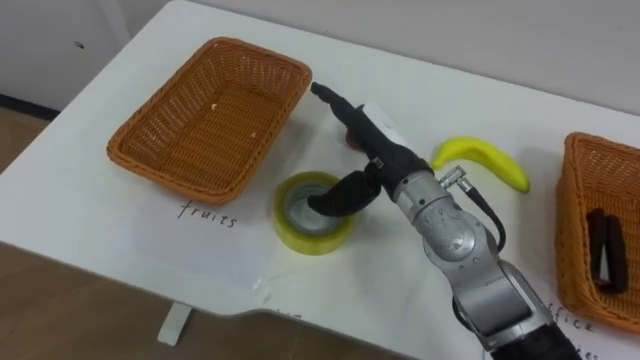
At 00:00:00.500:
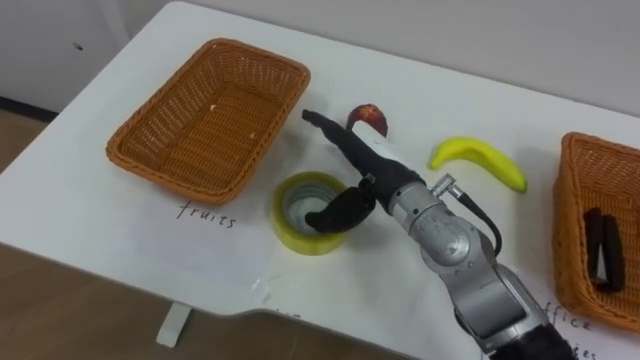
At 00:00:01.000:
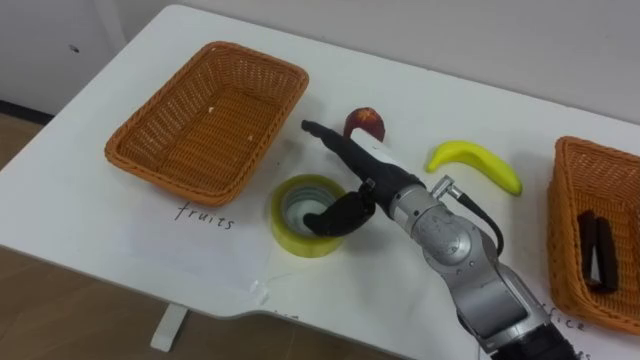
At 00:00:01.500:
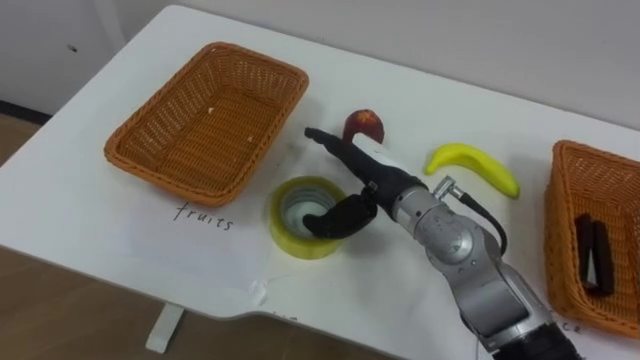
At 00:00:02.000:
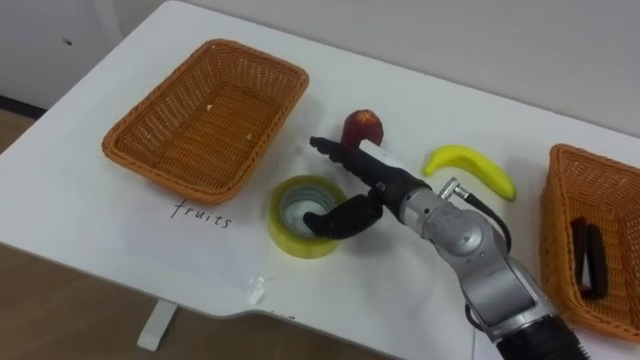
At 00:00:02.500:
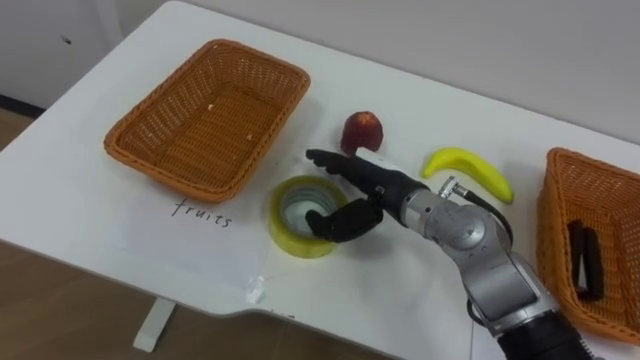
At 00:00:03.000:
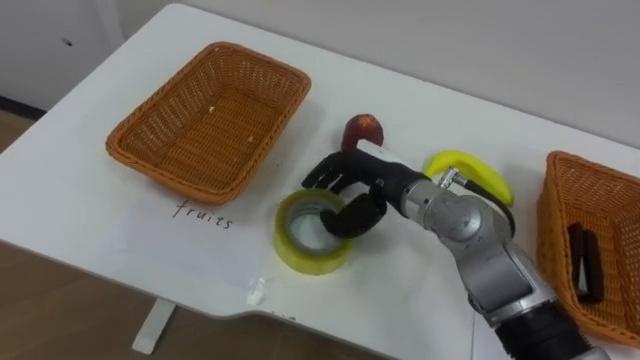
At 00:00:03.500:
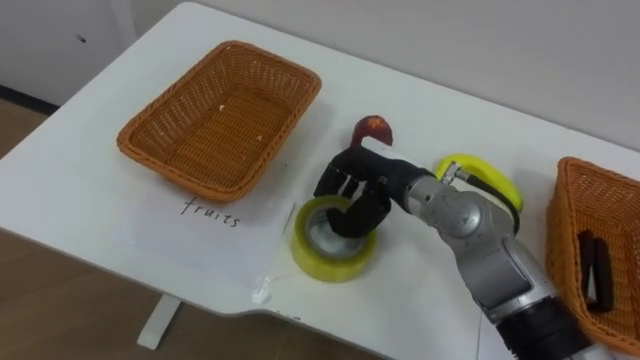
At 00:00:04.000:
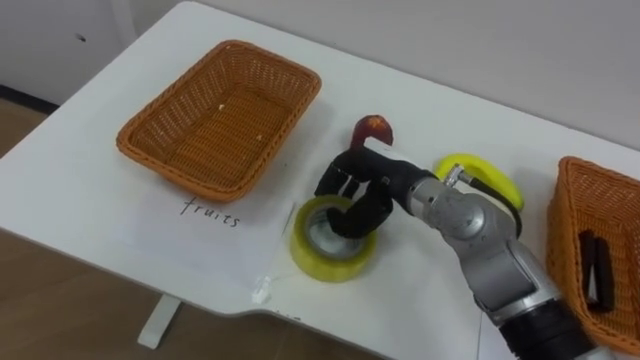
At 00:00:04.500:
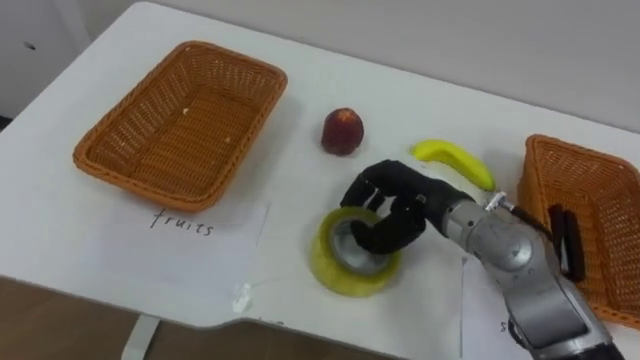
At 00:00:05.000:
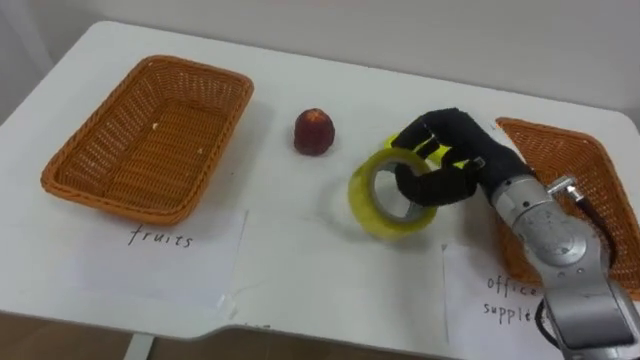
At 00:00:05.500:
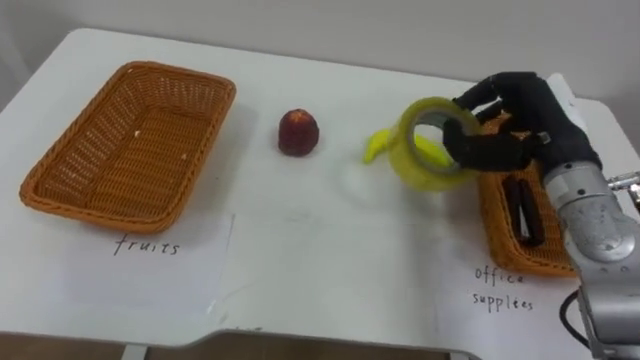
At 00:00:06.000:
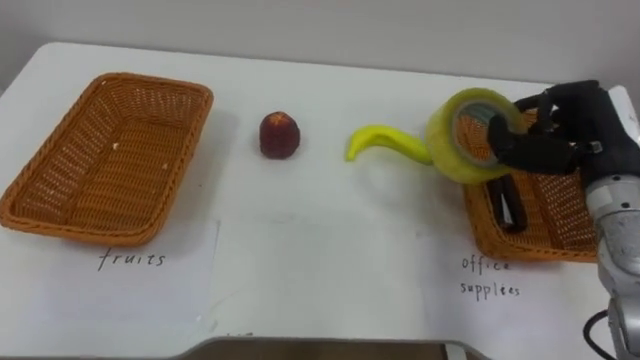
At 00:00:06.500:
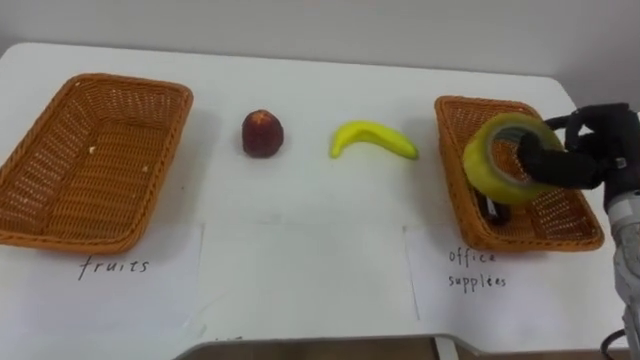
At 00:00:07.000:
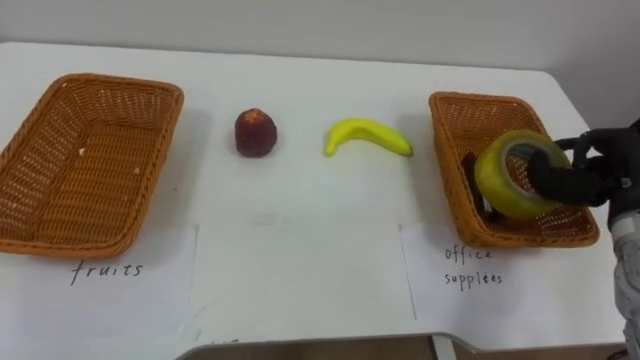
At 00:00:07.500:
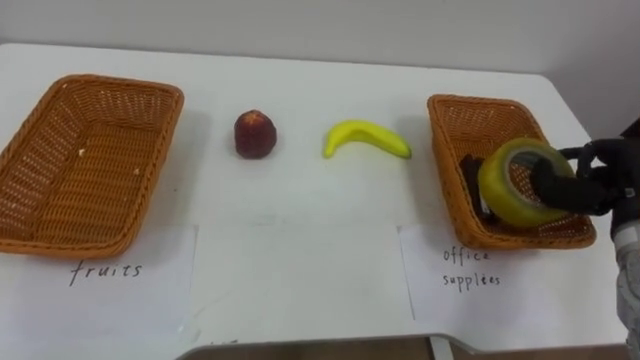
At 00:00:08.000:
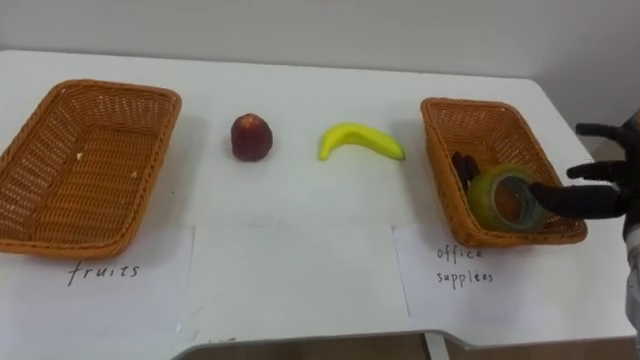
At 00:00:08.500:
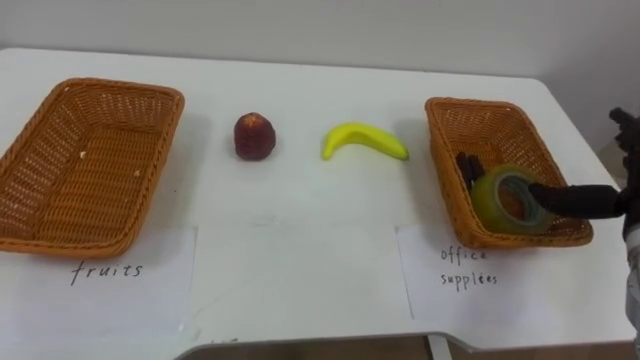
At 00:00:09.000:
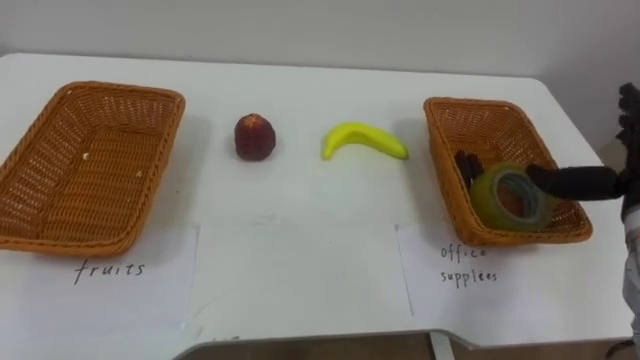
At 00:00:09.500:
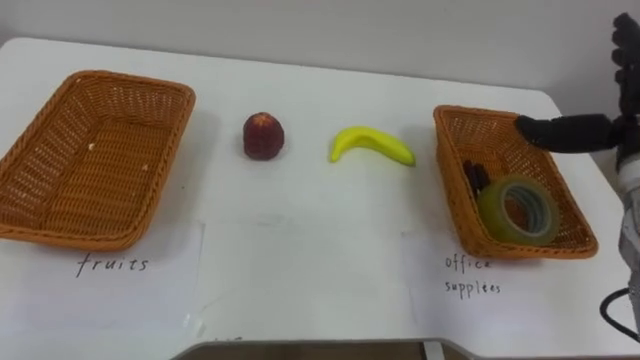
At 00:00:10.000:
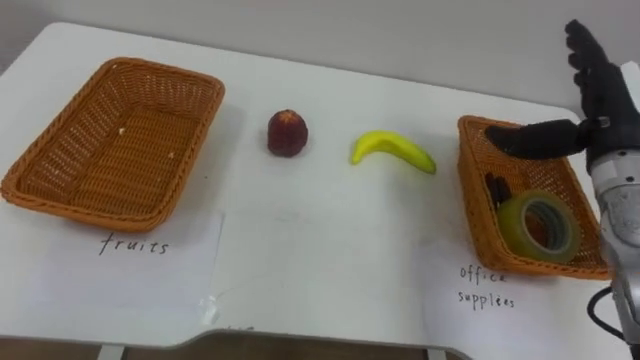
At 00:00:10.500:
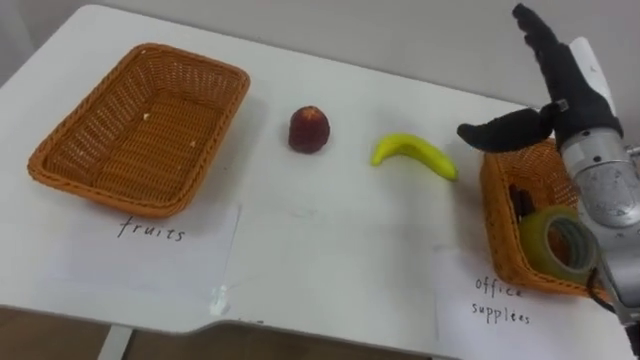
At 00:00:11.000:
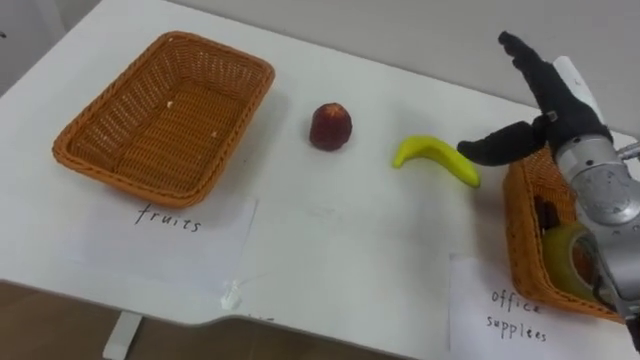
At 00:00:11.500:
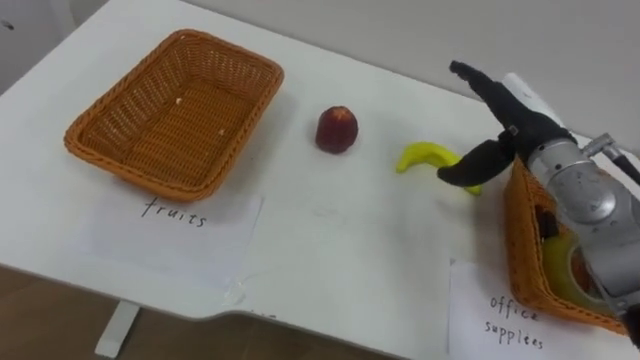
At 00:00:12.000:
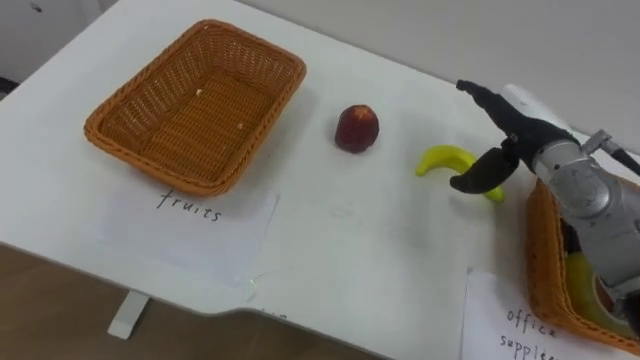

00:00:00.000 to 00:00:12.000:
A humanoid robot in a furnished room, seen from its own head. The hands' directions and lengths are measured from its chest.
Task of the whole recording: Separate the items on the table and place them into the two baskets.
00:00:00.000 to 00:00:02.000: The right hand heads downward, covering roughly 5 cm.
00:00:02.000 to 00:00:04.000: The right hand closes up.
00:00:04.000 to 00:00:06.000: The right hand goes some 20 cm to the right.
00:00:06.000 to 00:00:08.000: The right hand moves to the right and downward, about 10 cm, and opens.
00:00:10.000 to 00:00:12.000: The right hand travels to the left by roughly 5 cm.

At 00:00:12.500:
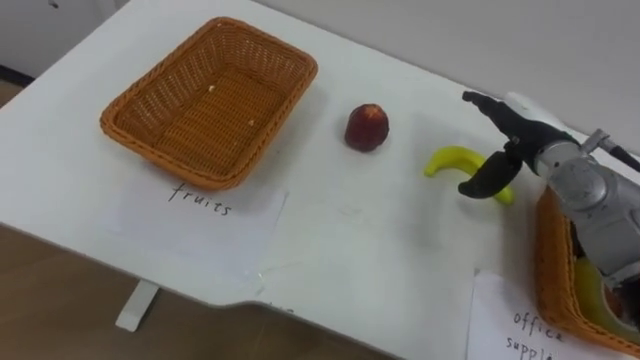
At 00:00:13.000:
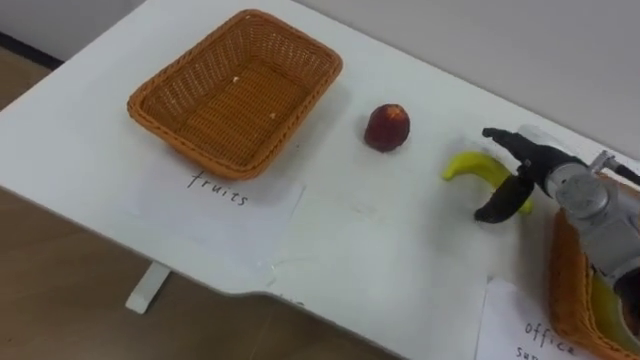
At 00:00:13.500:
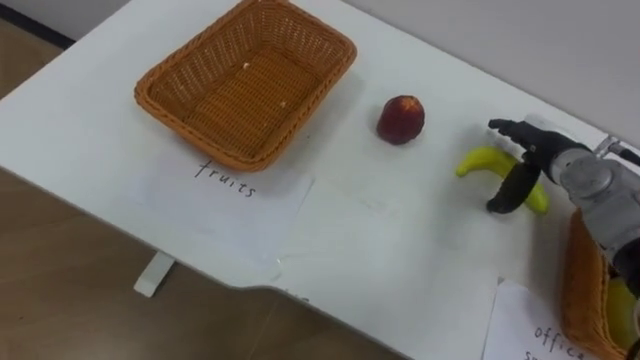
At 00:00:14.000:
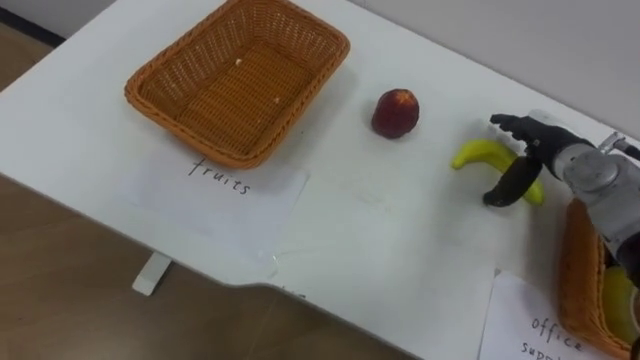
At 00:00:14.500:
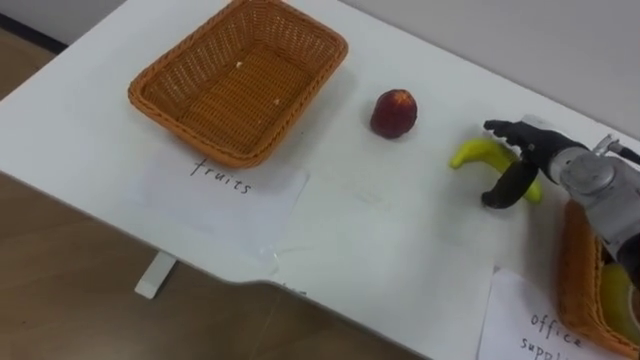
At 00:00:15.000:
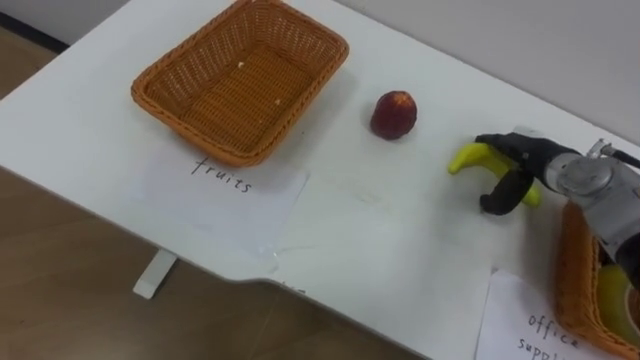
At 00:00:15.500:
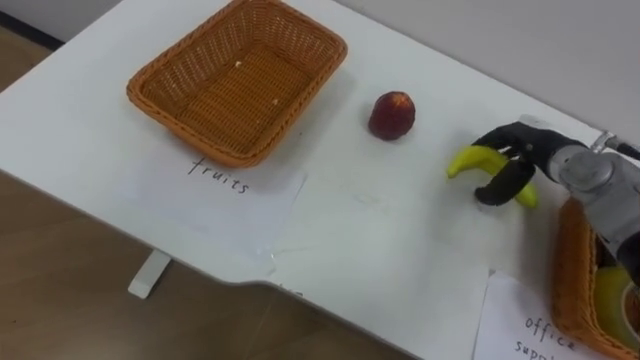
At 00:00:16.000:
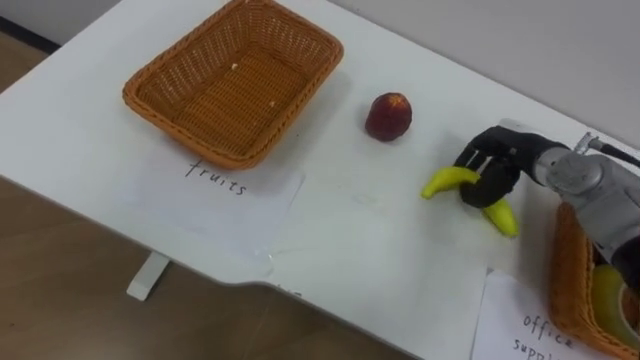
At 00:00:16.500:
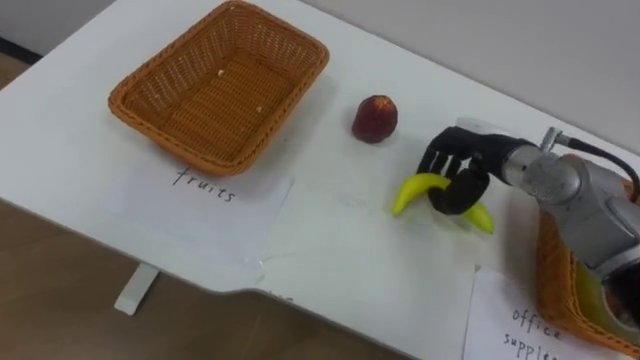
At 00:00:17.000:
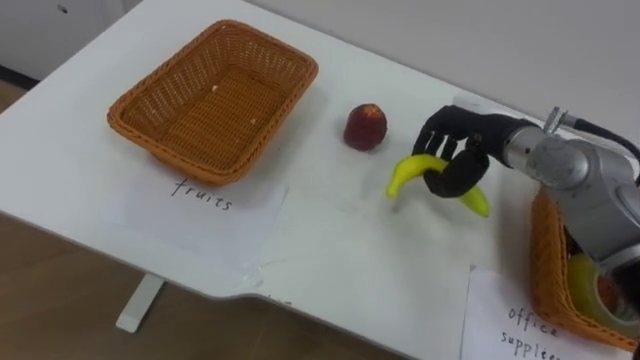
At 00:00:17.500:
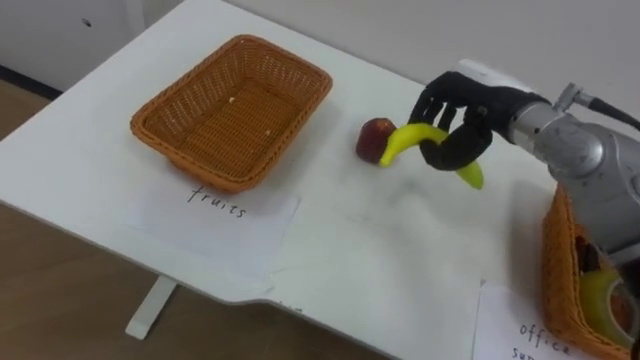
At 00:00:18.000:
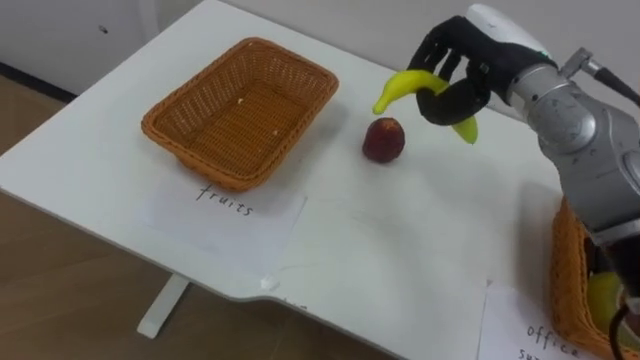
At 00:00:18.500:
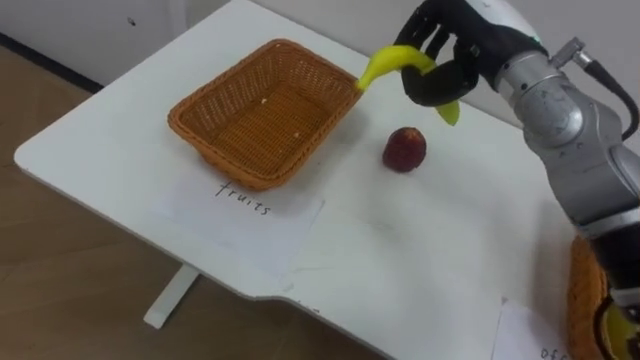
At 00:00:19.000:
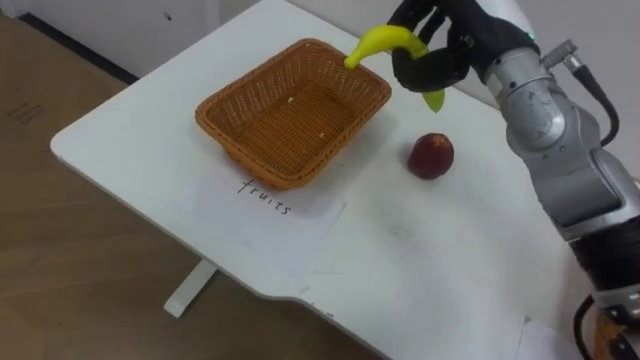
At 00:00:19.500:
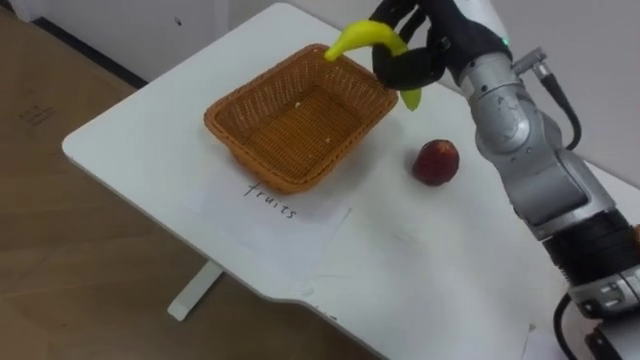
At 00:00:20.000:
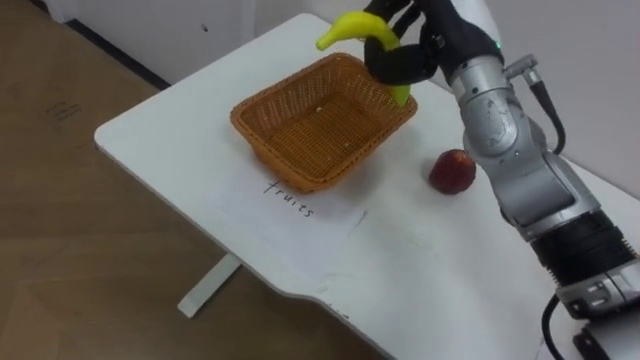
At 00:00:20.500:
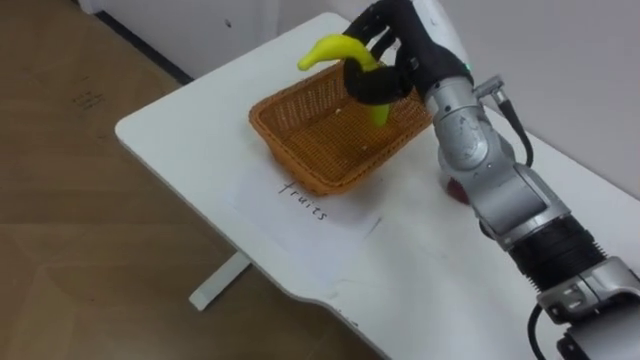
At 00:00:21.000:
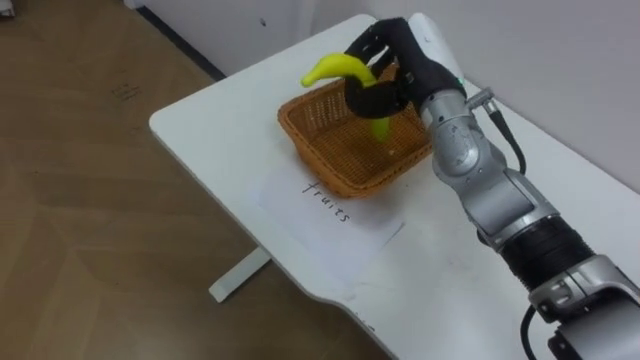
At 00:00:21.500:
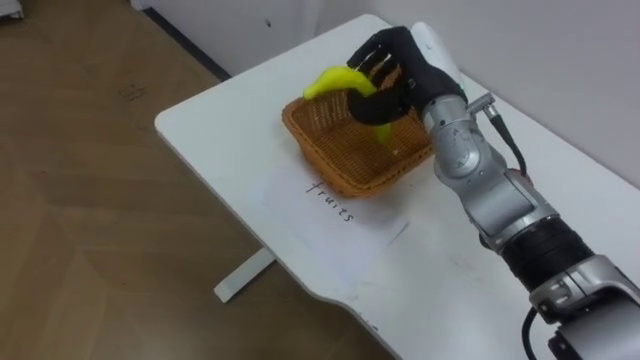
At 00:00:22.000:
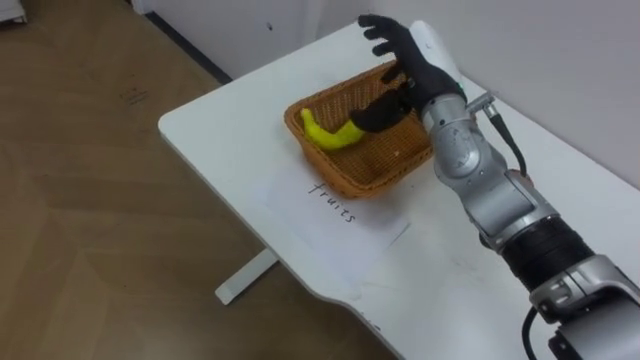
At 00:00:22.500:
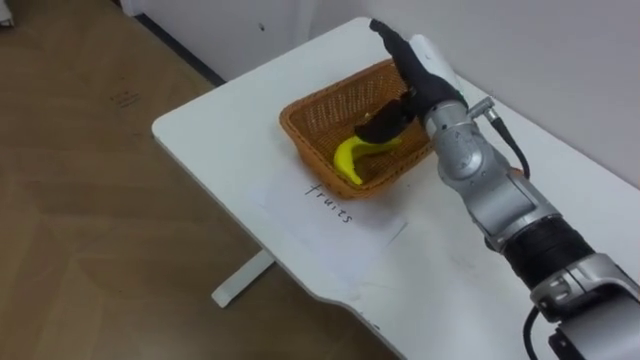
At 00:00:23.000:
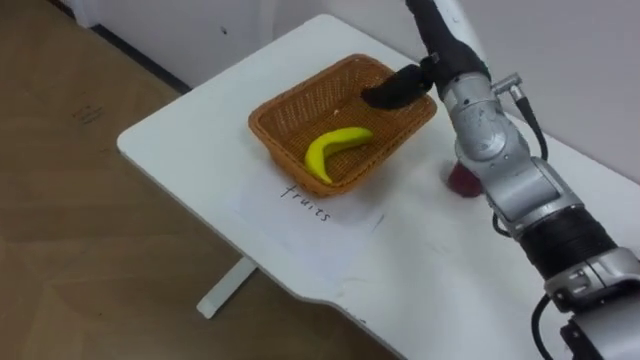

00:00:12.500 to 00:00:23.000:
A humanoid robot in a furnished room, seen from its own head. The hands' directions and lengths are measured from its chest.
Task of the whole recording: Separate the items on the table and place them into the two baskets.
00:00:12.500 to 00:00:14.500: The right hand shifts by roughly 5 cm.
00:00:14.500 to 00:00:16.500: The right hand travels to the left by some 10 cm, and closes.
00:00:16.500 to 00:00:19.000: The right hand moves upward, about 15 cm.
00:00:19.000 to 00:00:21.000: The right hand heads downward and to the left, covering about 10 cm.
00:00:21.000 to 00:00:23.000: The right hand opens up.
